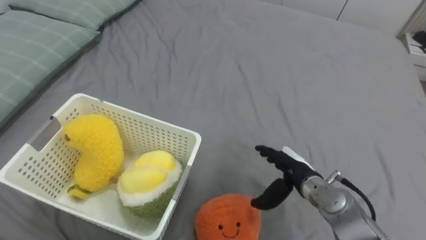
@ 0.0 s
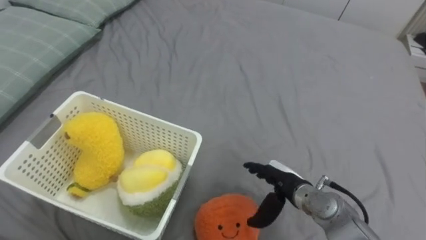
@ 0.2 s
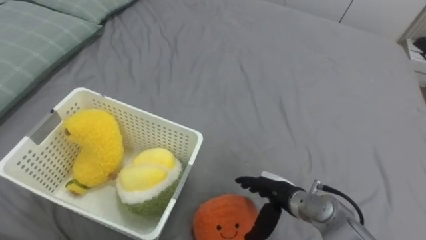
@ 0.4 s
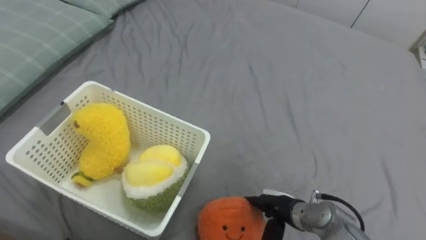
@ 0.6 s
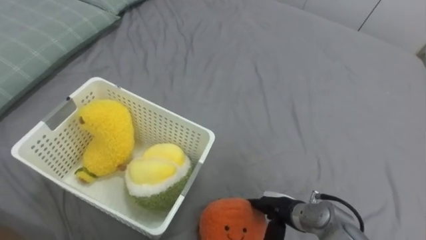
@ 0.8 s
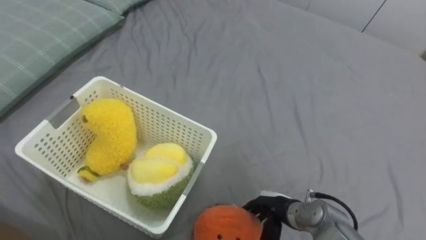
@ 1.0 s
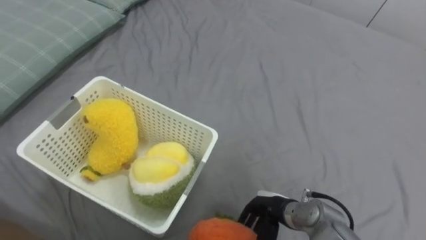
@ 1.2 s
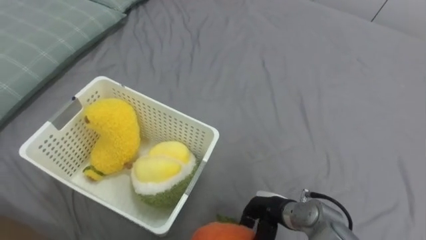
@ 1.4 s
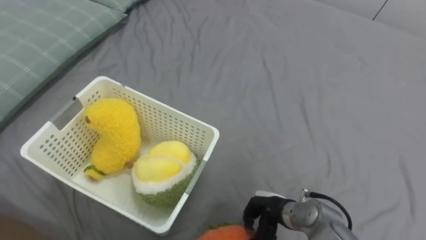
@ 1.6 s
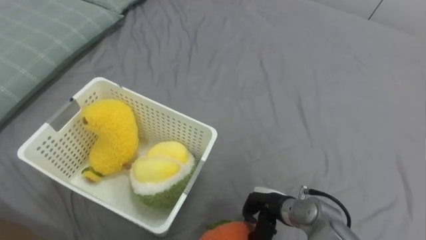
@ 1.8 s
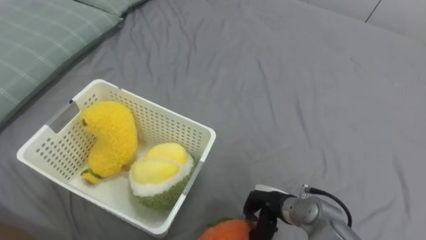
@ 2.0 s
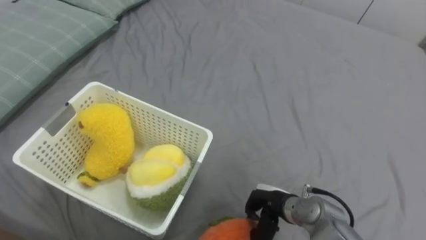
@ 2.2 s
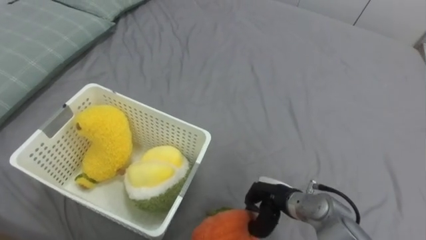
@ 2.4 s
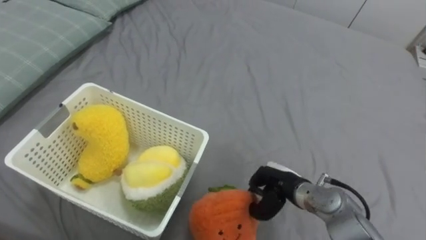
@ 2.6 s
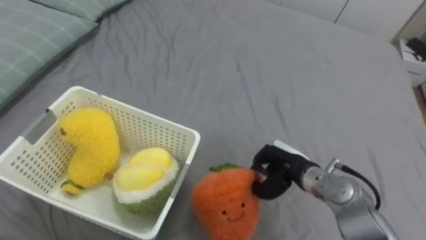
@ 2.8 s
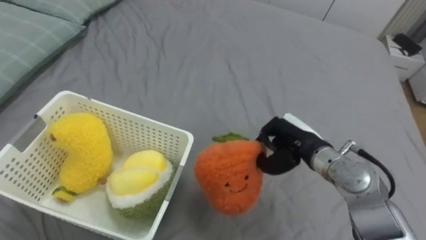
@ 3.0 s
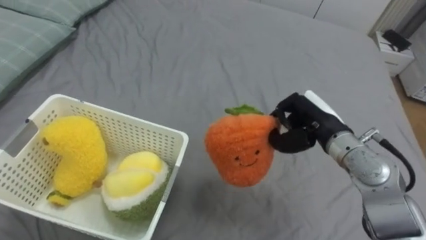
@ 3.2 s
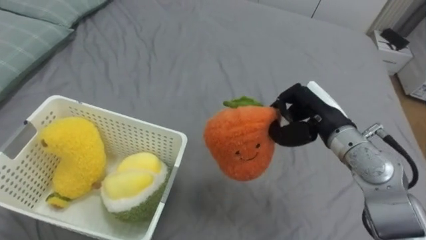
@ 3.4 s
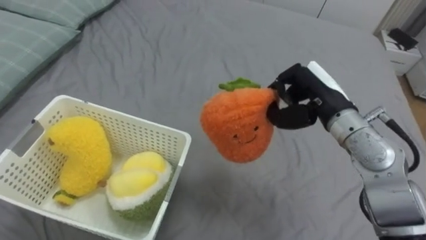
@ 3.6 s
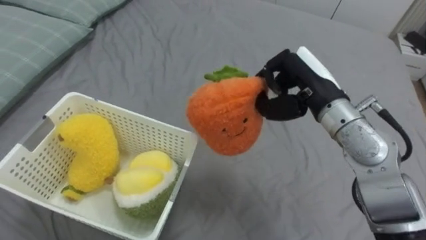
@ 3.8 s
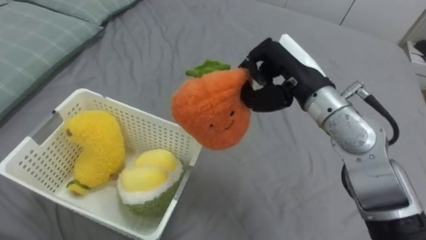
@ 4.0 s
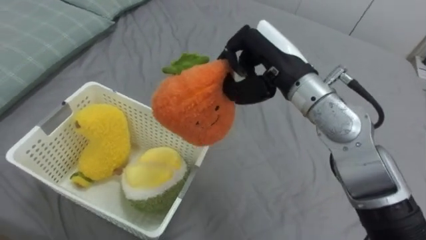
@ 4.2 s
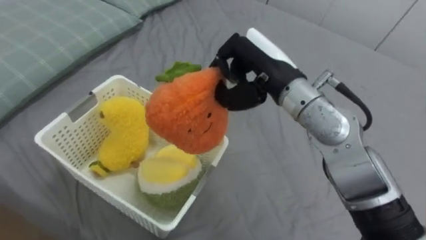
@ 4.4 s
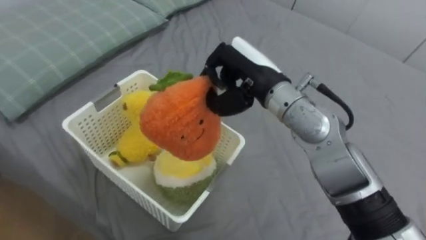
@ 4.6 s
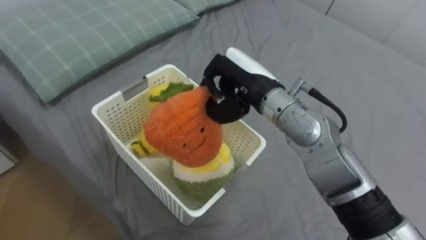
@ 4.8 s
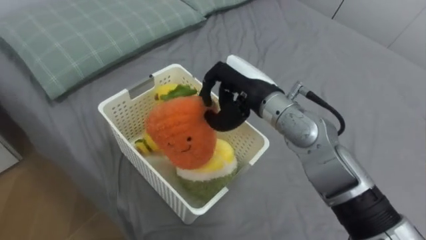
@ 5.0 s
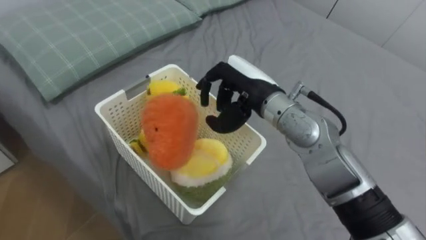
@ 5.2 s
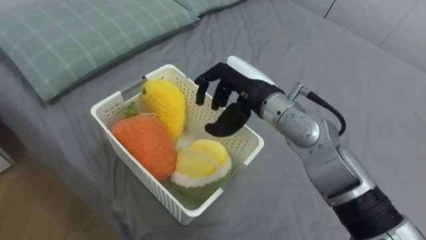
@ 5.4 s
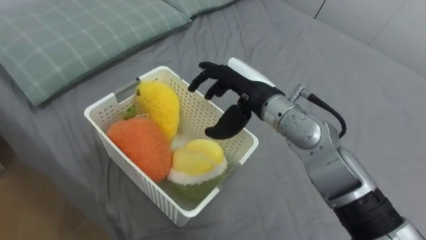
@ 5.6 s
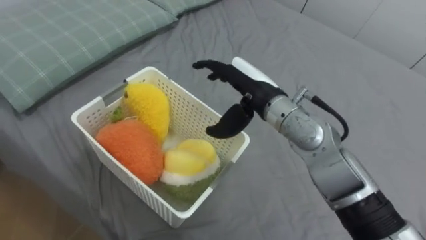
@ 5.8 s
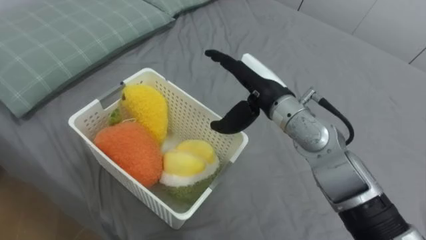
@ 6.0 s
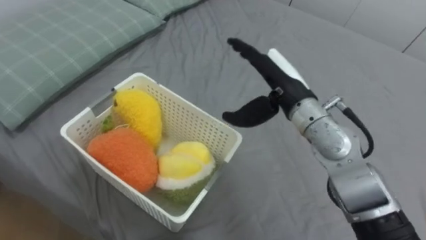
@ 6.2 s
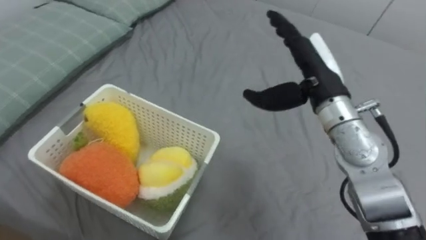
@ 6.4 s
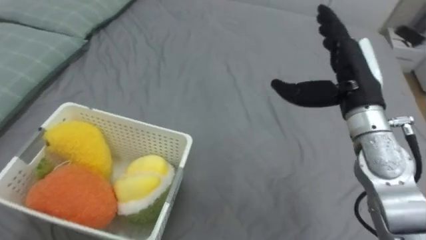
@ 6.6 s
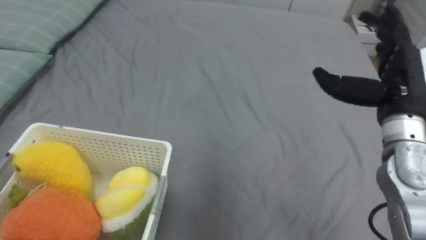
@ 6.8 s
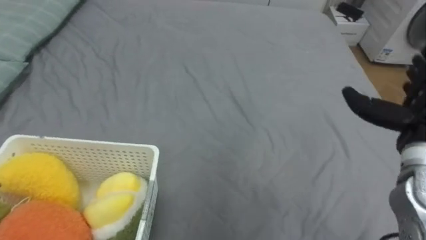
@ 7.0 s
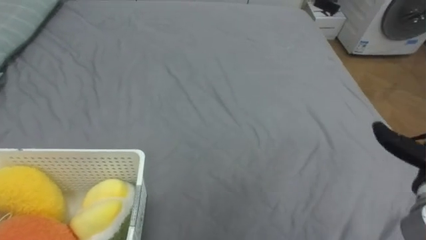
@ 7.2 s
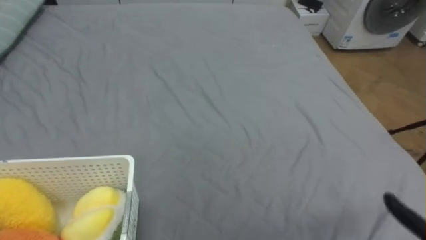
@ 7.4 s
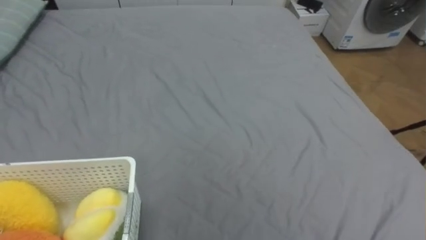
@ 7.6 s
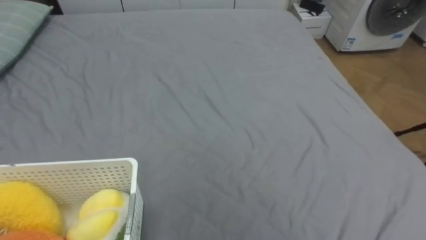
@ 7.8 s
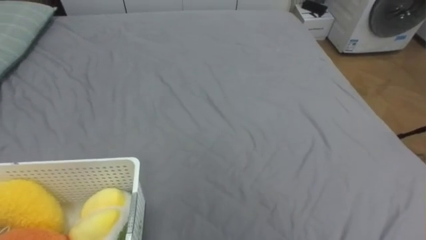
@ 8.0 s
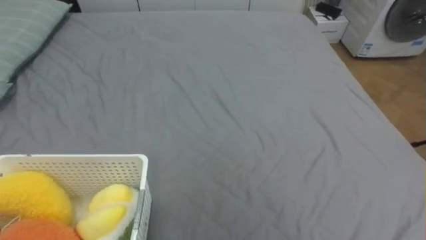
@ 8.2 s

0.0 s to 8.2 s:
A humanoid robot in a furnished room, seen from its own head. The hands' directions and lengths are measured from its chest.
Task of the whole recording: Put the toys on the bed into the basket on the left.
0.0 to 1.6 s: The right hand shifts about 10 cm backward and downward, and closes up.
1.6 to 3.2 s: The right hand travels upward and forward by approximately 20 cm.
3.2 to 5.0 s: The right hand goes roughly 15 cm to the left and upward.
5.0 to 6.6 s: The right hand travels to the right by approximately 15 cm, and opens.

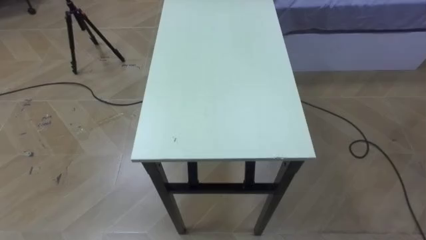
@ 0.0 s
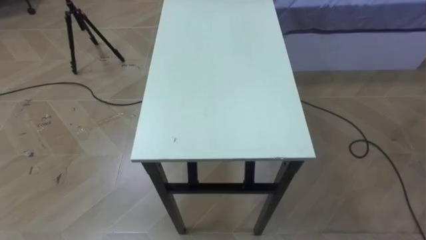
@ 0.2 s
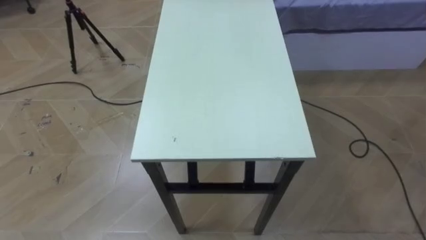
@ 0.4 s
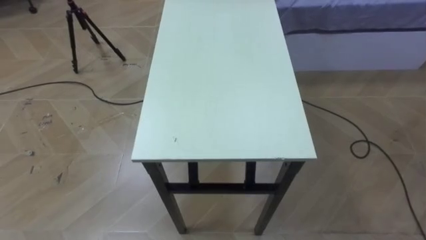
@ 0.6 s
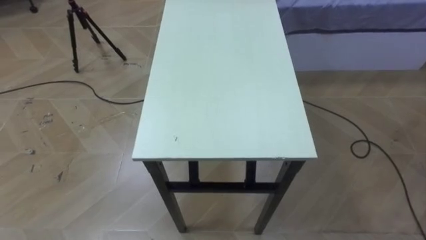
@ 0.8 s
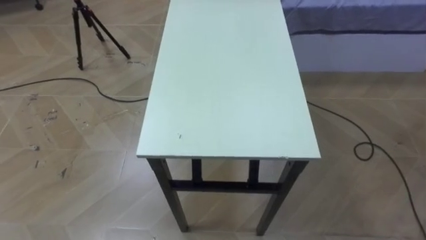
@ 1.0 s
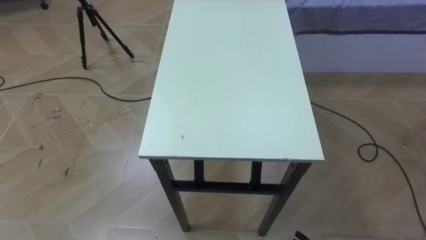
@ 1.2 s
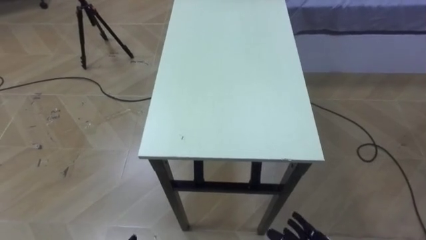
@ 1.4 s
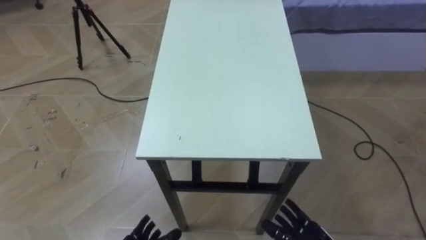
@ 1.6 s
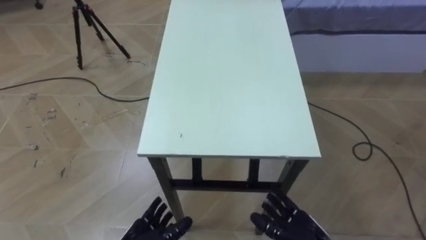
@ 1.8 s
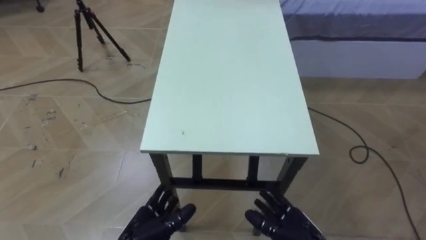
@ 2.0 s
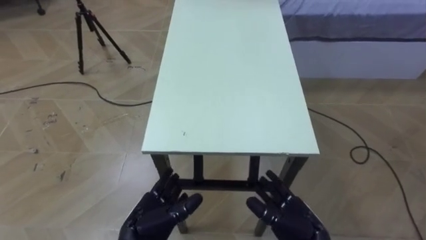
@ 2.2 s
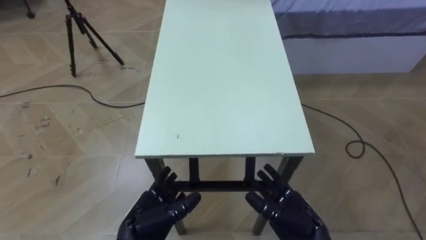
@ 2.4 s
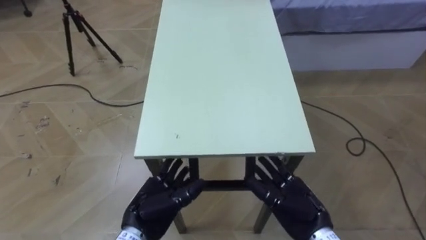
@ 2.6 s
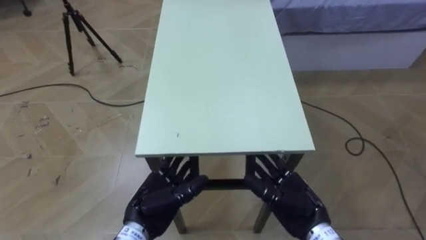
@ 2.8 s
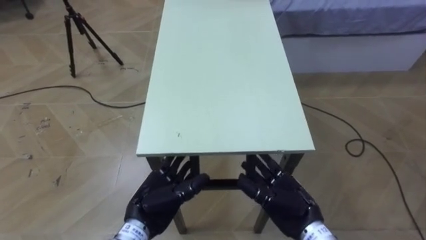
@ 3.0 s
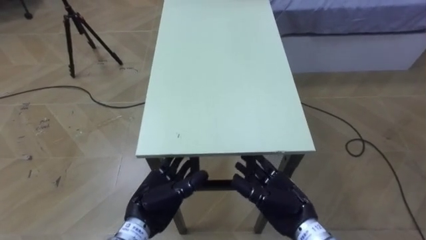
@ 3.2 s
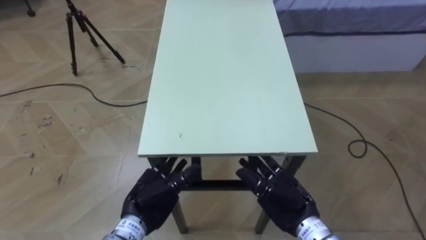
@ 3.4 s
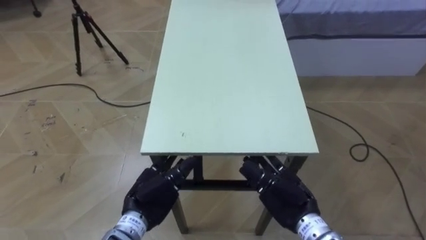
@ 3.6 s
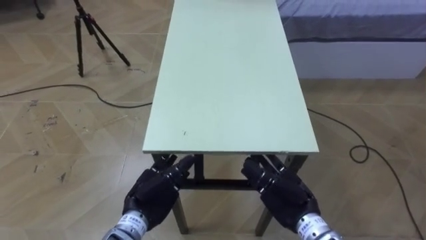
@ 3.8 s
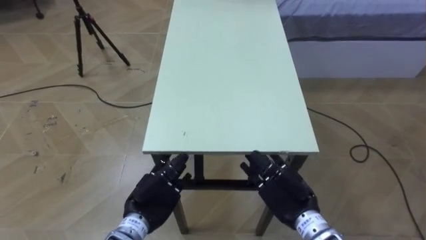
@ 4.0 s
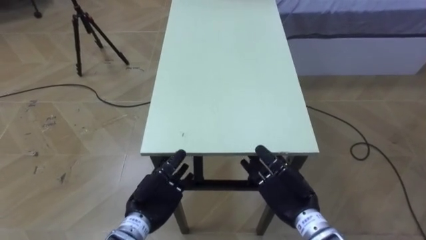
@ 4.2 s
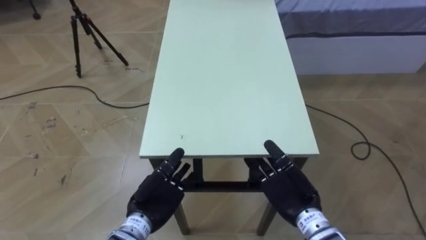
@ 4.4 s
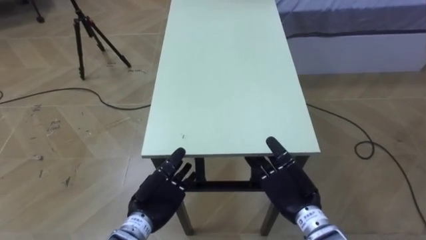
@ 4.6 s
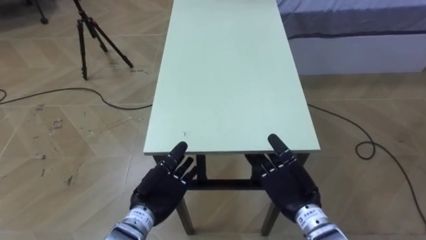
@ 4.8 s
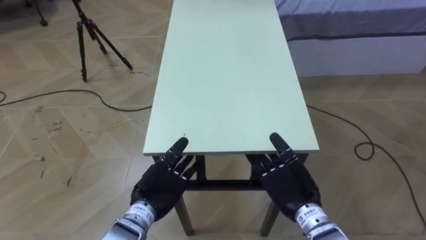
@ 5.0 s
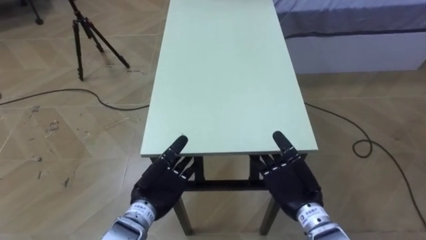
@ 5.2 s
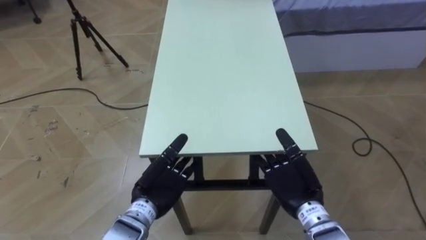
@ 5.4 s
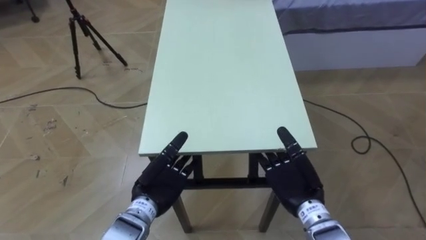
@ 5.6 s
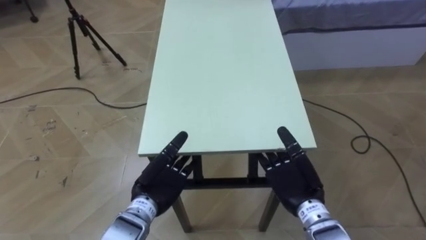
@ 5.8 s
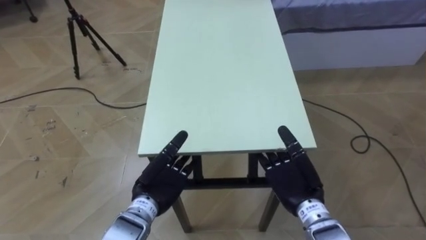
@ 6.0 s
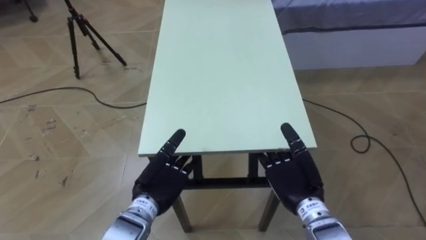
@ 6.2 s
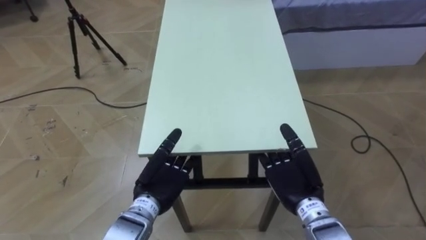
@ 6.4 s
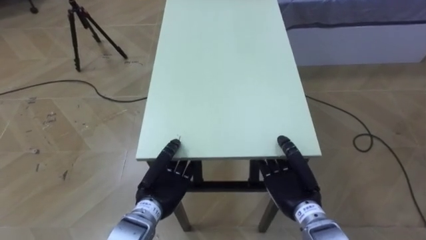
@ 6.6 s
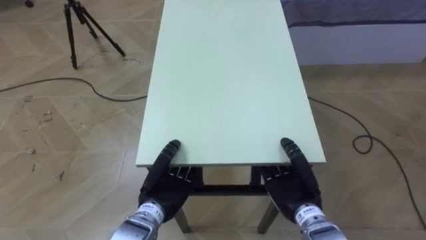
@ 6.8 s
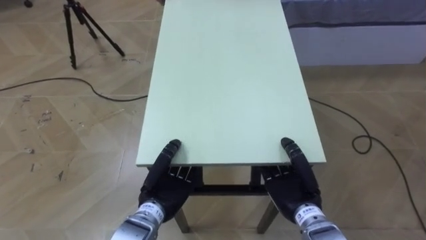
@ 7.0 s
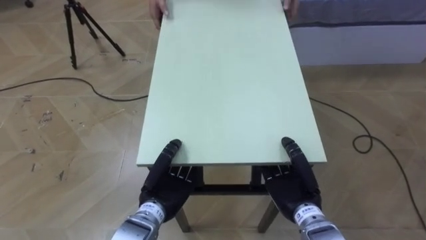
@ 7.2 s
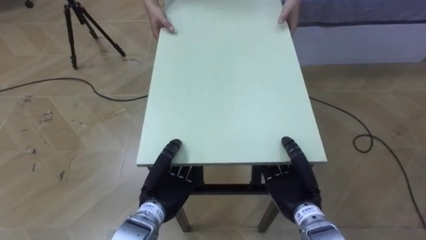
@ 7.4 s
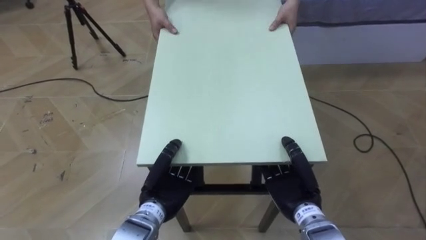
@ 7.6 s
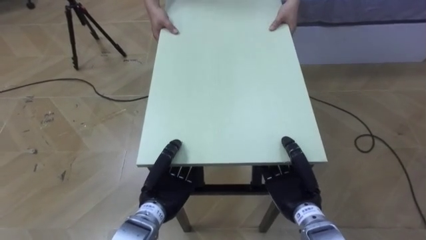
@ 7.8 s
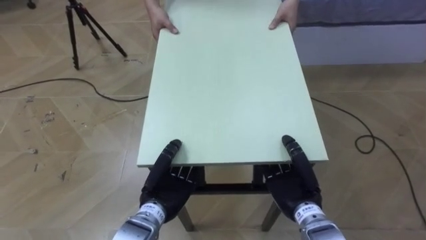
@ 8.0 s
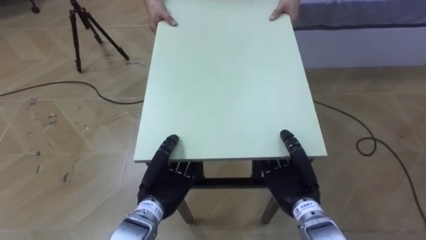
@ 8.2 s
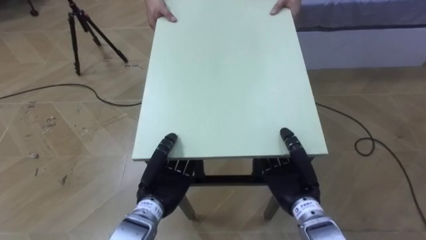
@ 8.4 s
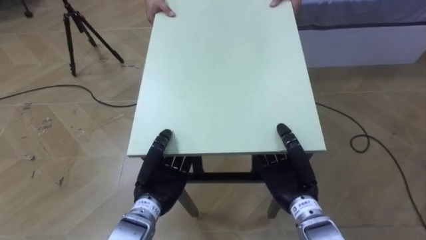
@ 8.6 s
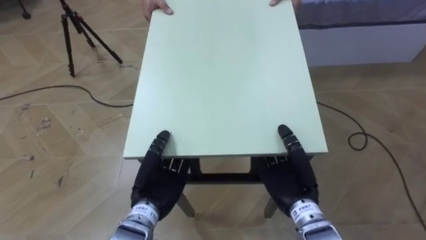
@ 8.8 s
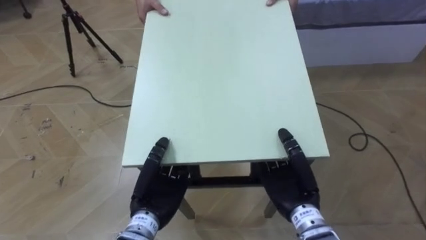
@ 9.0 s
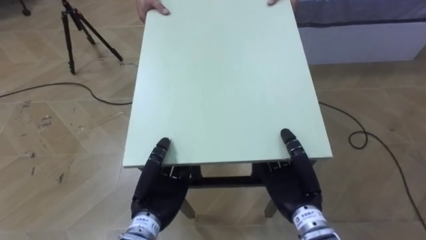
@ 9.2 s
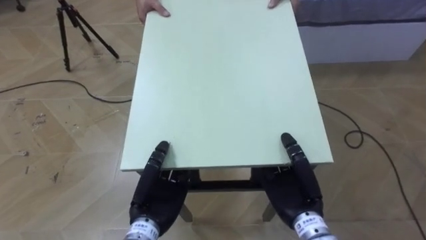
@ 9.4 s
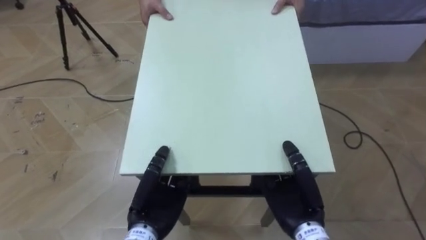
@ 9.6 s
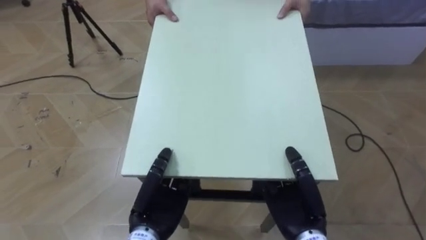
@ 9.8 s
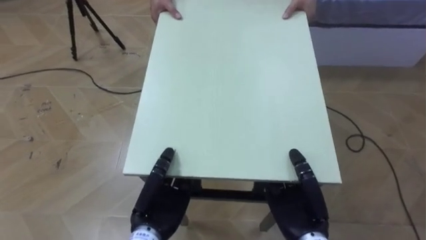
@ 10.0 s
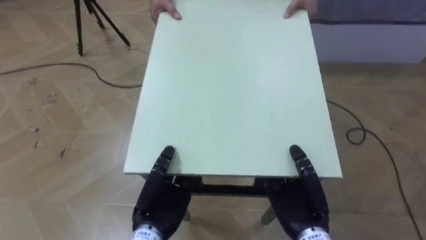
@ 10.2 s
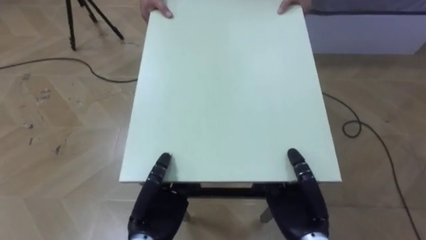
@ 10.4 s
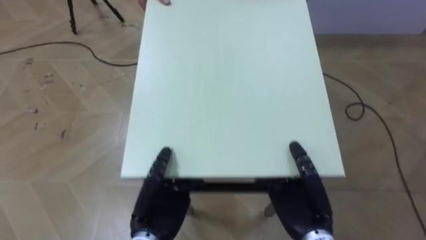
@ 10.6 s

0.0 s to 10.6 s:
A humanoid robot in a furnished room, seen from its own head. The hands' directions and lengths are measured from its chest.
Task of the whole recording: Move the table to the back left with someone.
4.6 to 6.0 s: The hands stay close to where they were, moving slightly.
6.0 to 7.6 s: The left hand closes up. The right hand closes.
